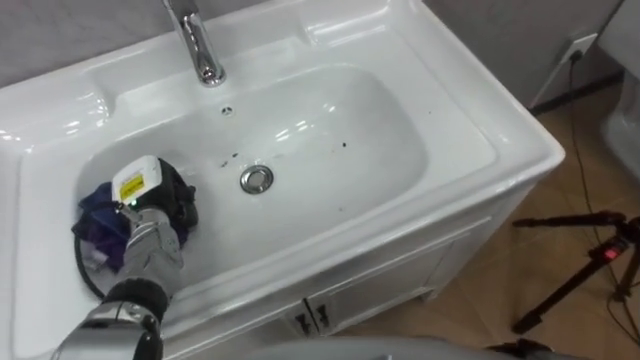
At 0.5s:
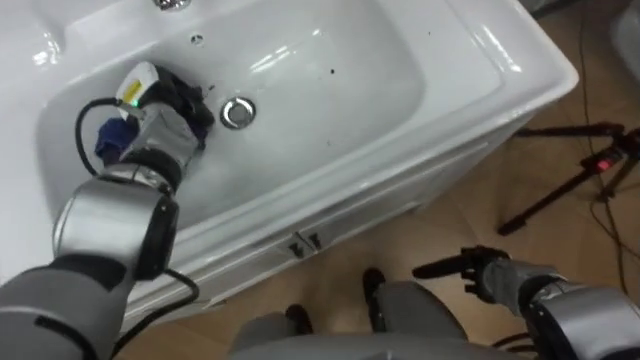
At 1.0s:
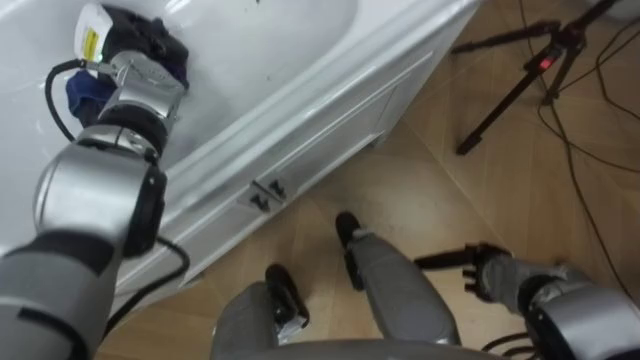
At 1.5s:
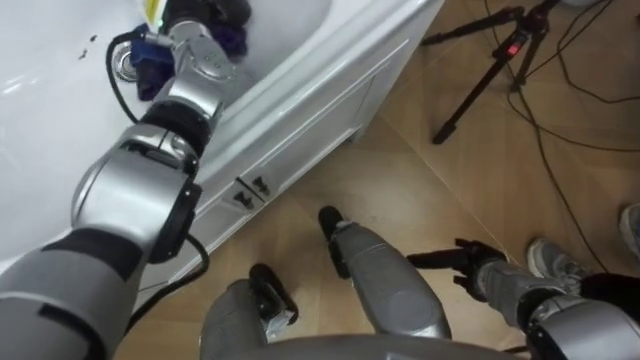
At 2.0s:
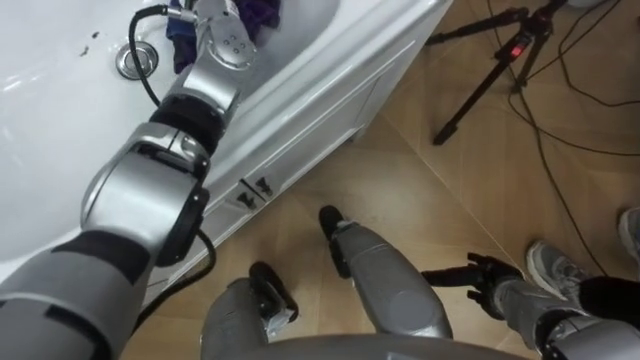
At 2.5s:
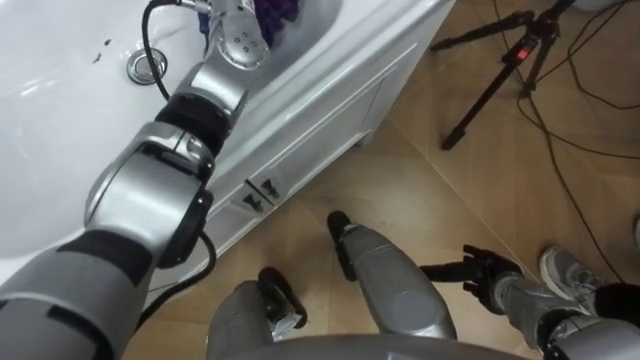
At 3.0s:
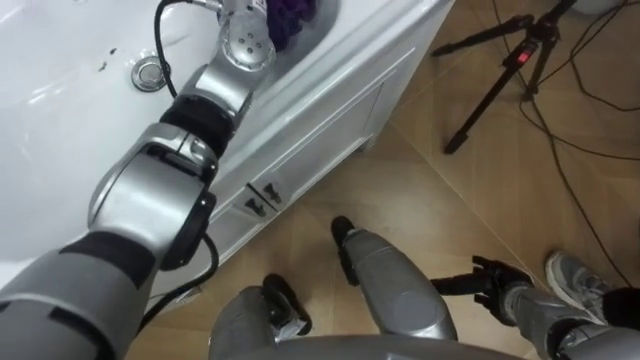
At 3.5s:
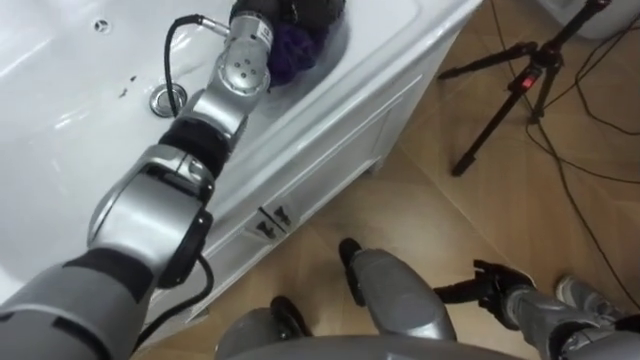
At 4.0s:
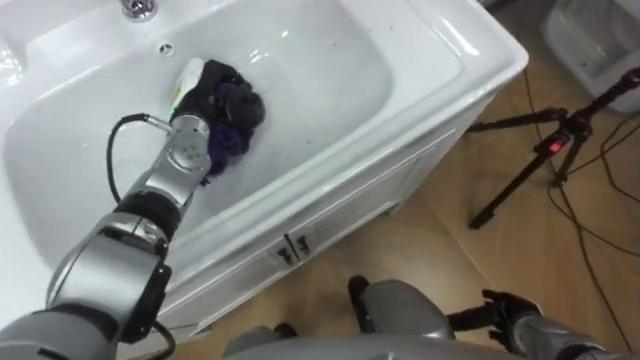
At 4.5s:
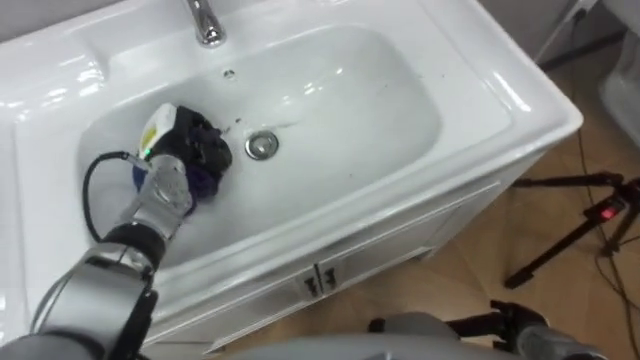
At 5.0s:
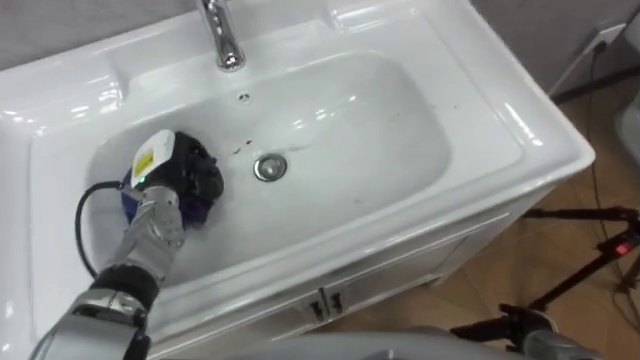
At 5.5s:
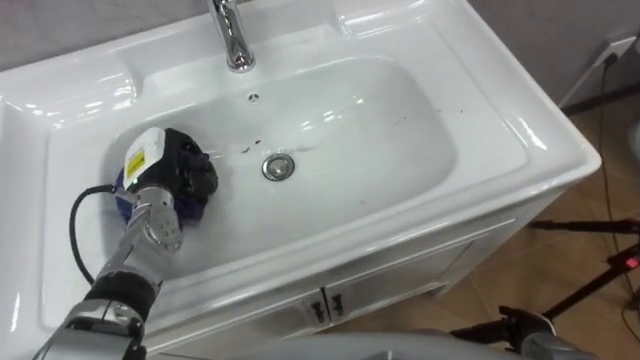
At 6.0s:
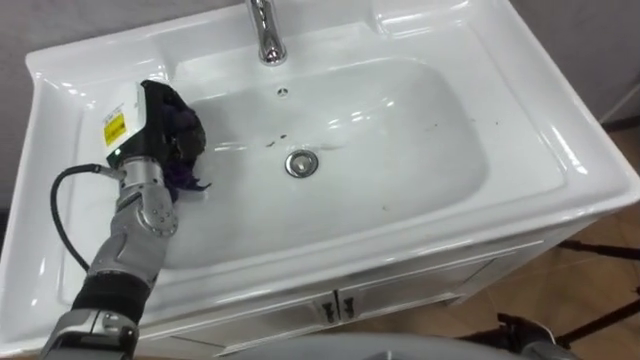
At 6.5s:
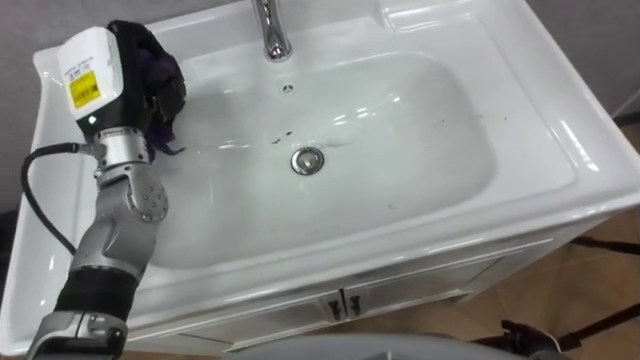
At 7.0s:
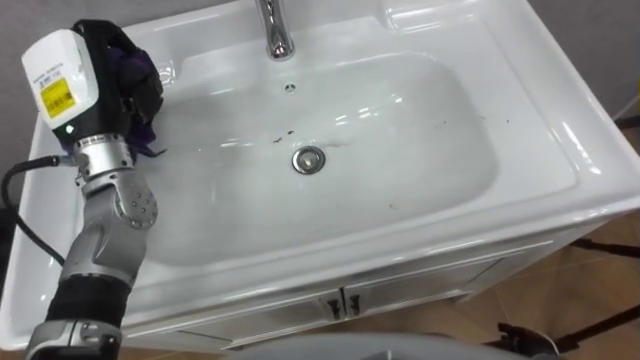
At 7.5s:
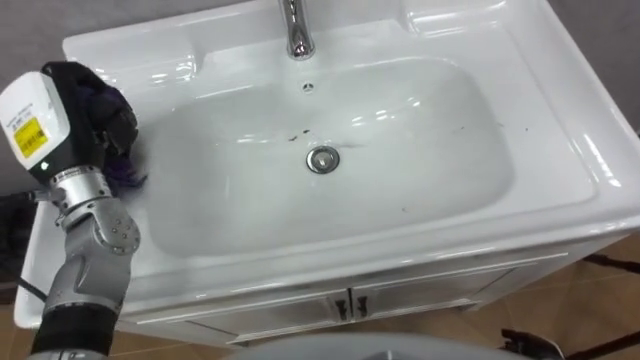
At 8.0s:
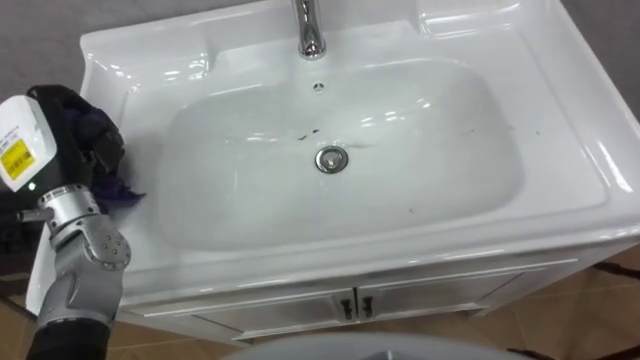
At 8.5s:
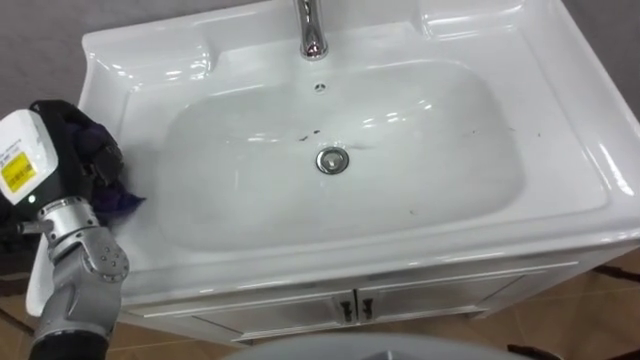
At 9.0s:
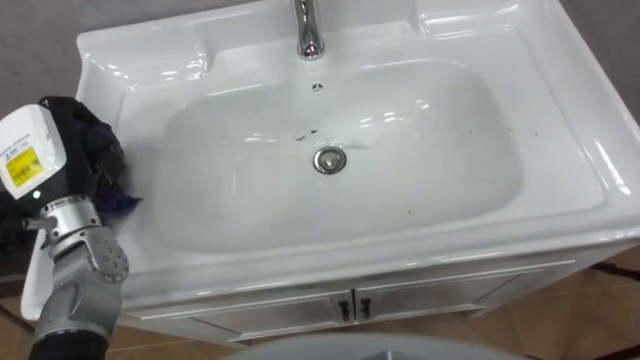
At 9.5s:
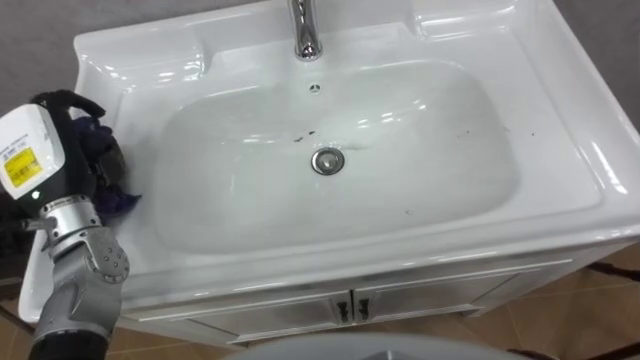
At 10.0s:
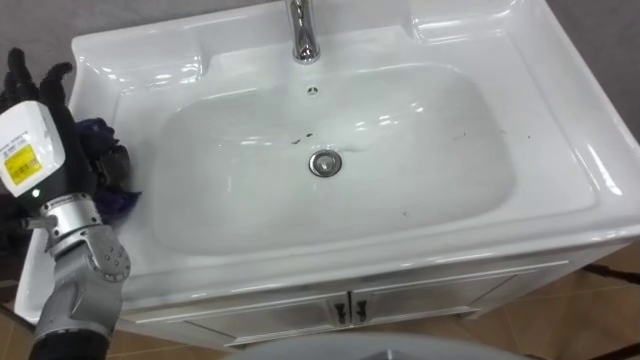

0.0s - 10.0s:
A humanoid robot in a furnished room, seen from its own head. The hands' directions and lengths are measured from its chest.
Task of the whole recording: Use the cloth on the right to wipe away the black stain in the sink.
2.0s - 4.0s: The right hand changes place by some 5 cm.
4.0s - 6.0s: The left hand is displaced to the left and backward by approximately 10 cm.
6.0s - 8.0s: The left hand heads to the left and backward, covering roughly 10 cm.
8.0s - 10.0s: The left hand opens its fingers.

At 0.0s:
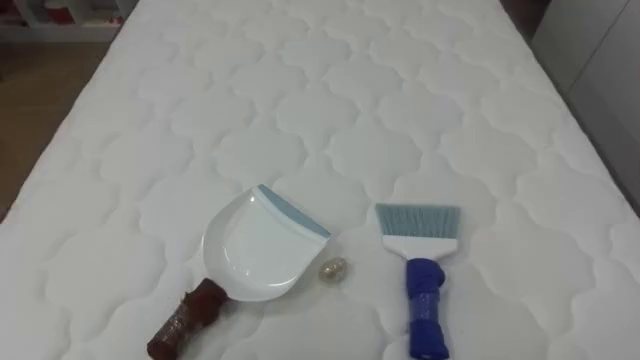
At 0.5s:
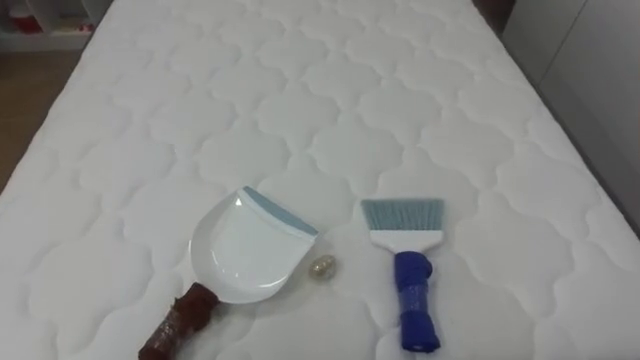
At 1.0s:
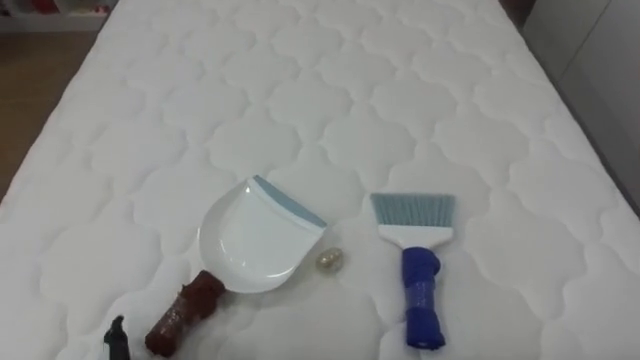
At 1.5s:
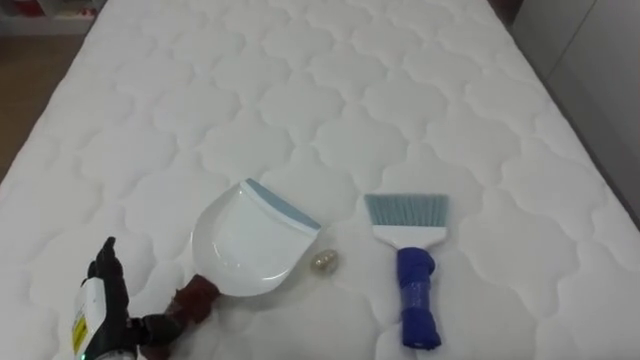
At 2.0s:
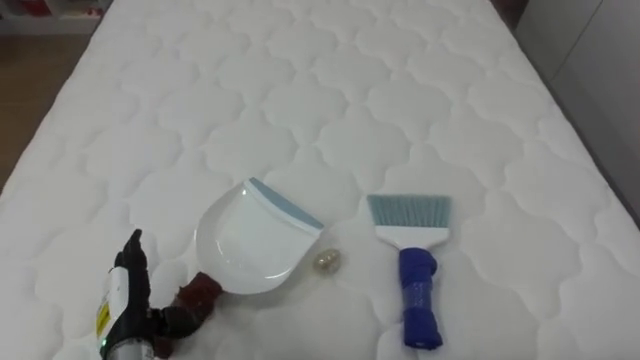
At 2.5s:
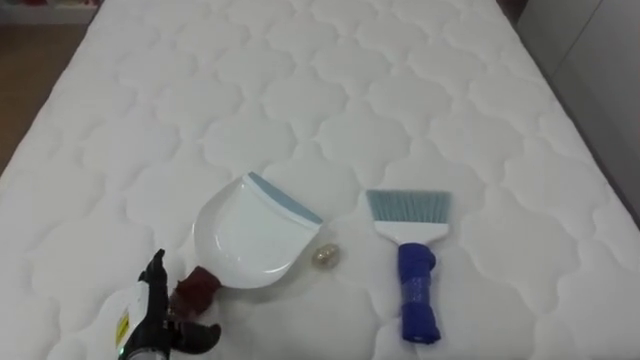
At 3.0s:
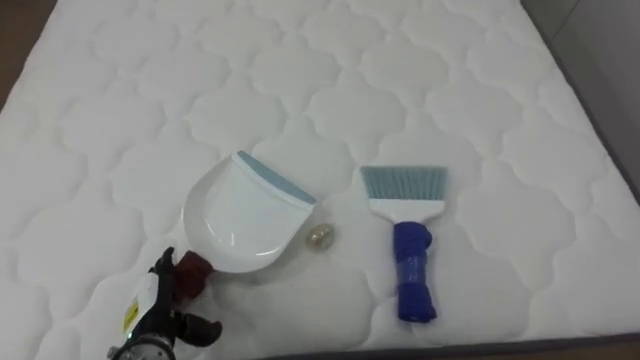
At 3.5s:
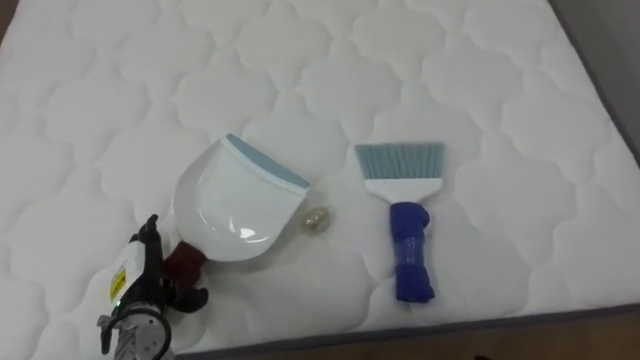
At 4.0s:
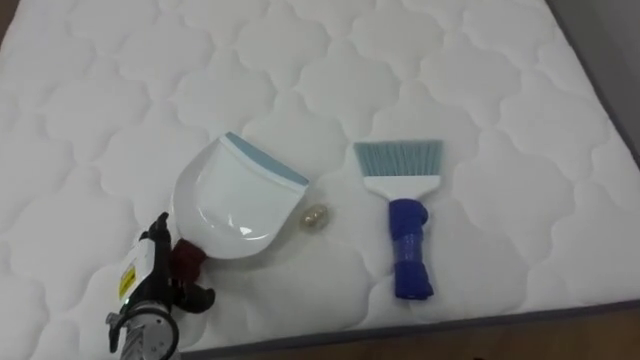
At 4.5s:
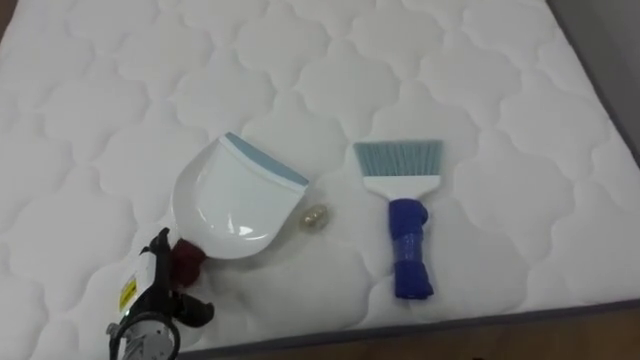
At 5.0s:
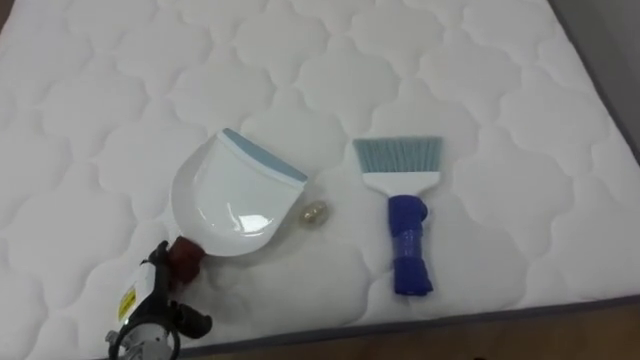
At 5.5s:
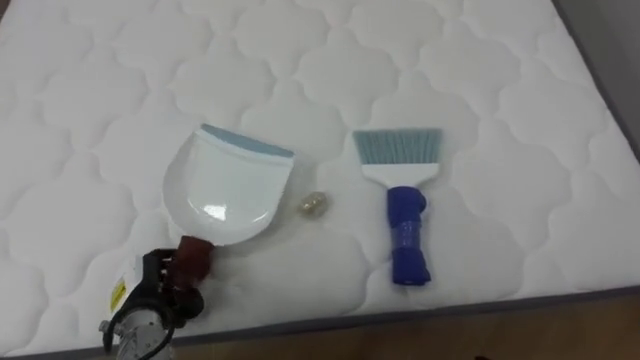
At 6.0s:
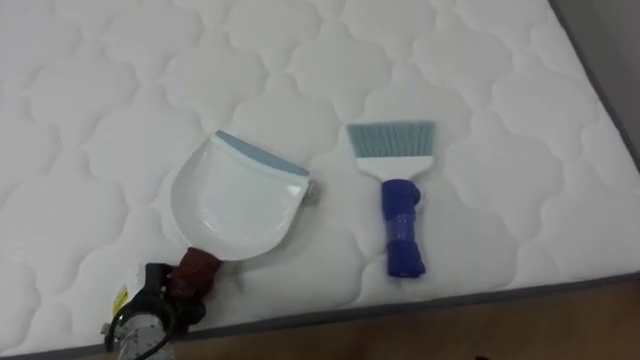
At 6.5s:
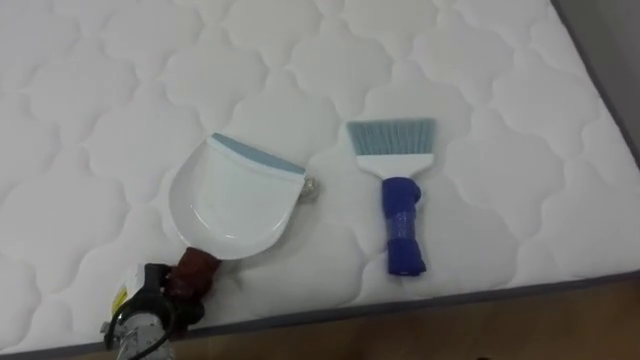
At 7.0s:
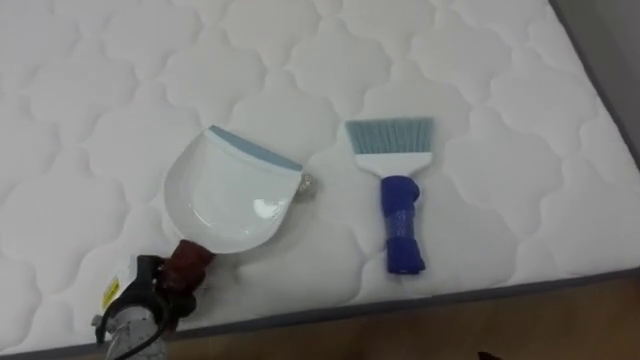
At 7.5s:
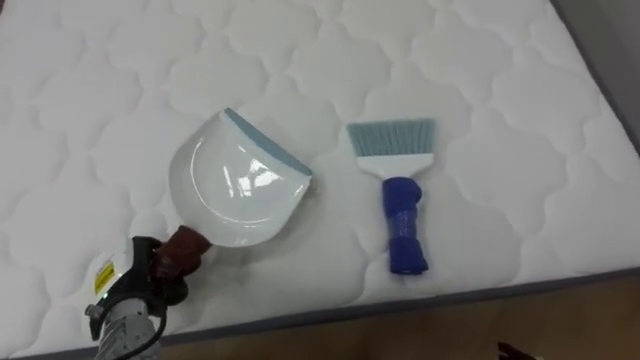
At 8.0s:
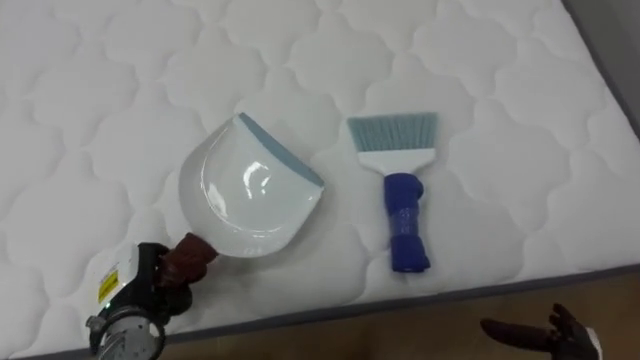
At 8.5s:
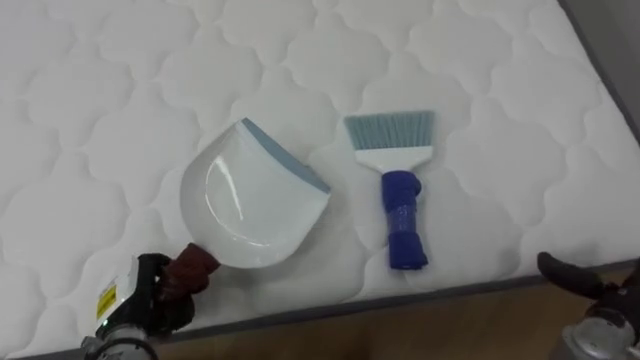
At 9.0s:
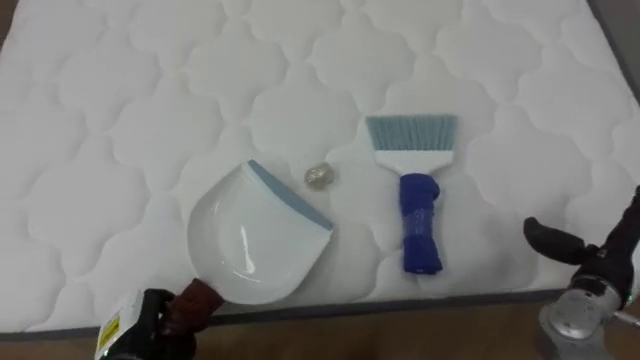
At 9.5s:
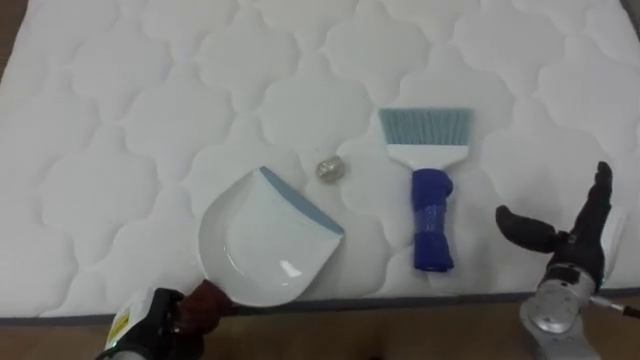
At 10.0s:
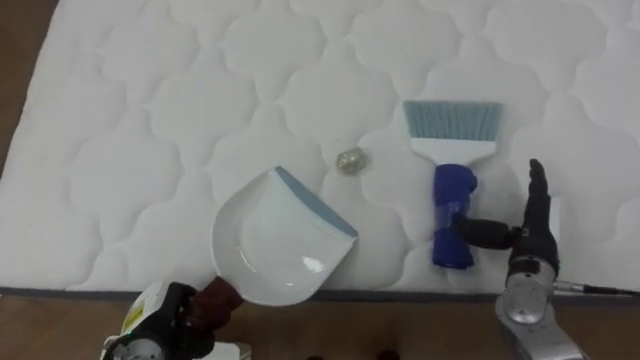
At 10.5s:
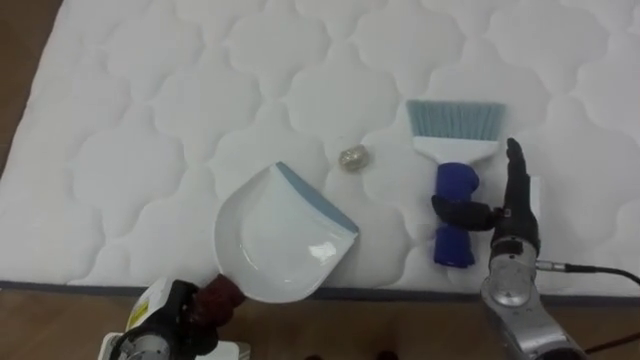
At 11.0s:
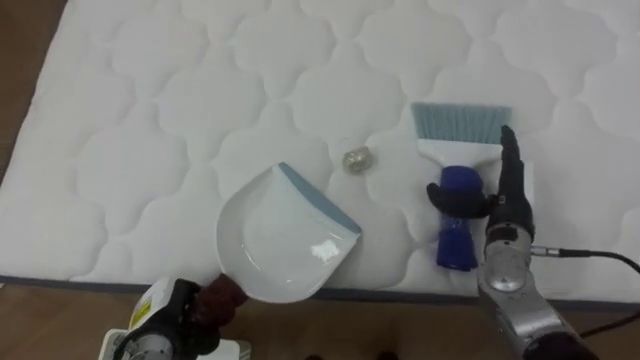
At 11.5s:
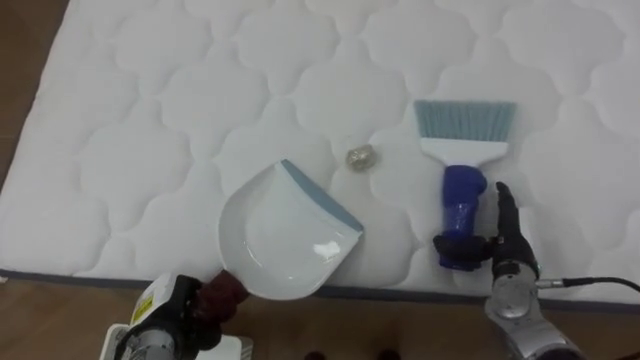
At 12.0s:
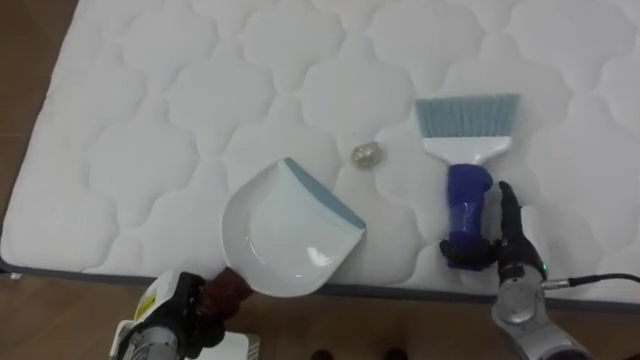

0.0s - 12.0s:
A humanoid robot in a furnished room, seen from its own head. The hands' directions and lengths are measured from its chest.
Task of the whole recording: Pick up the brush on your right and the dustpan on your left. Use the brush to sweep the crumpled paper on the bed into the dustpan, then turn left and empty it into the basket.
2.0s - 4.0s: The left hand changes place by about 5 cm.
4.0s - 6.0s: The left hand closes.
8.0s - 10.0s: The left hand changes place by roughly 5 cm, while the right hand shifts approximately 15 cm forward and upward.
